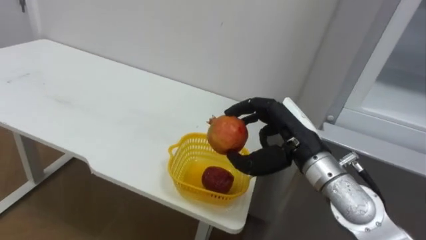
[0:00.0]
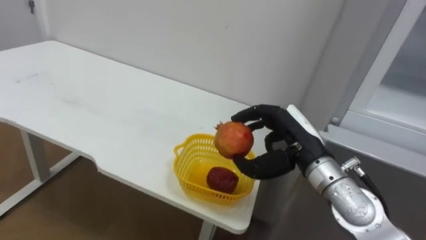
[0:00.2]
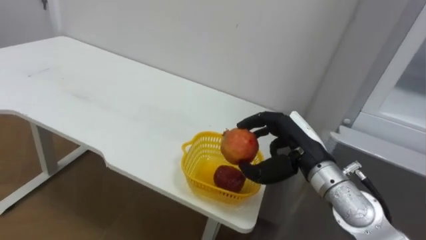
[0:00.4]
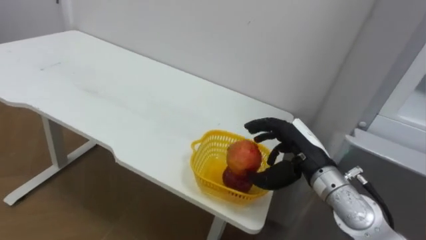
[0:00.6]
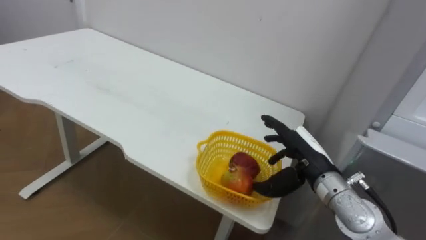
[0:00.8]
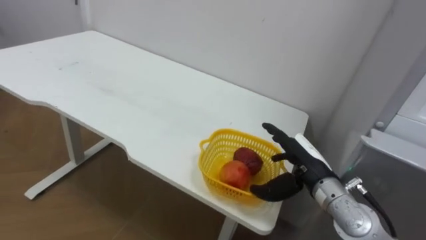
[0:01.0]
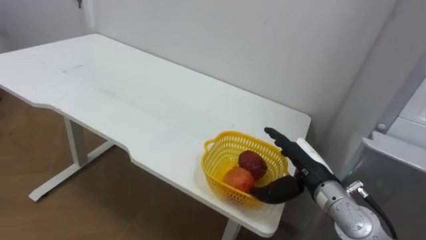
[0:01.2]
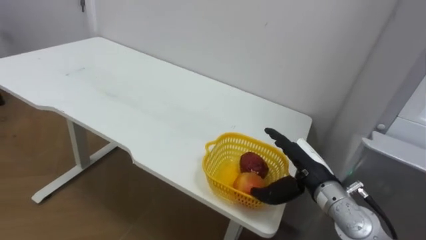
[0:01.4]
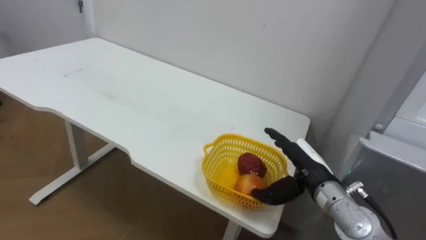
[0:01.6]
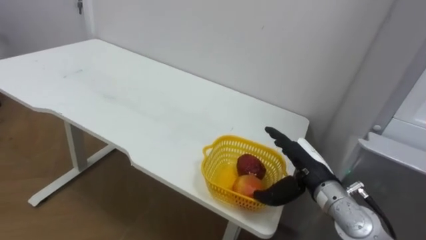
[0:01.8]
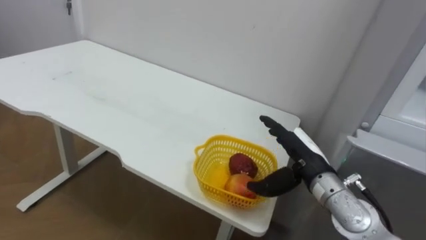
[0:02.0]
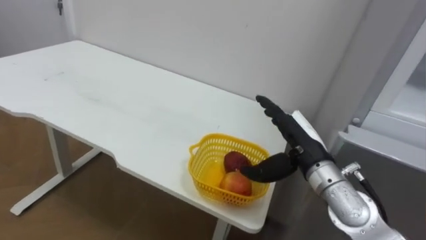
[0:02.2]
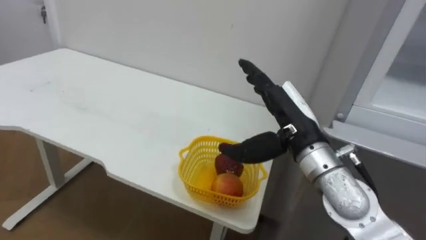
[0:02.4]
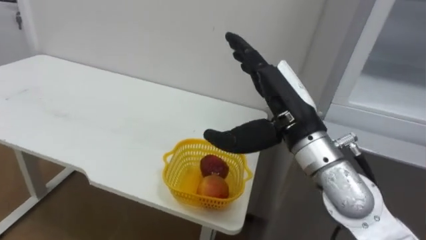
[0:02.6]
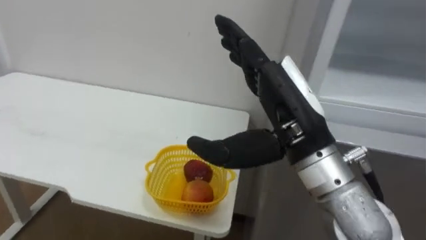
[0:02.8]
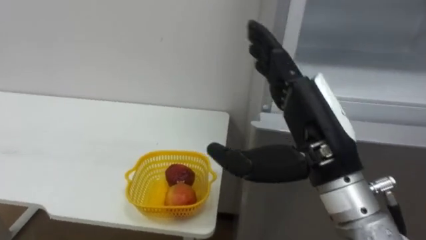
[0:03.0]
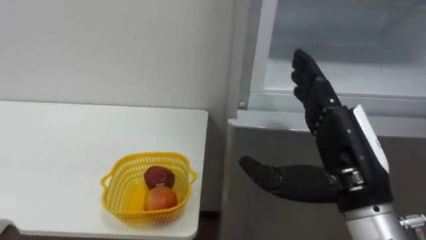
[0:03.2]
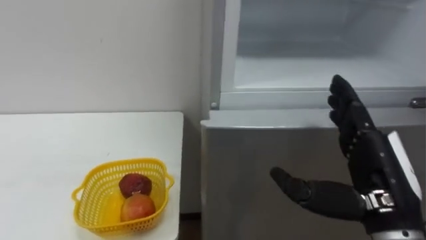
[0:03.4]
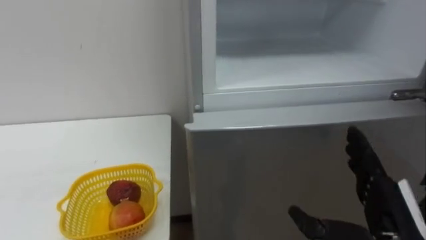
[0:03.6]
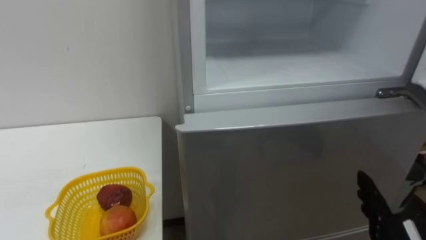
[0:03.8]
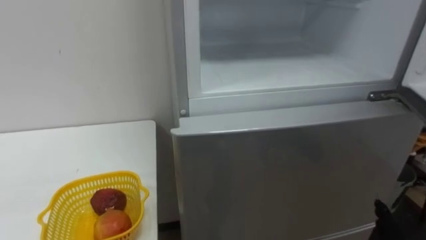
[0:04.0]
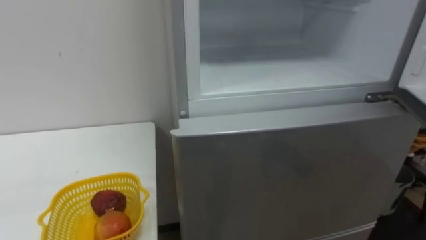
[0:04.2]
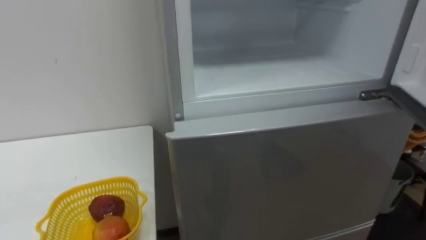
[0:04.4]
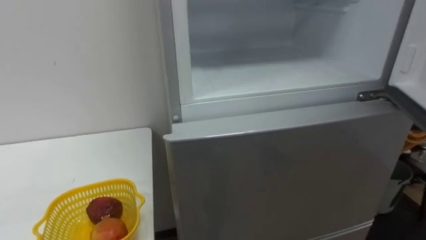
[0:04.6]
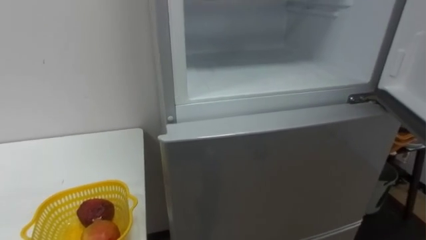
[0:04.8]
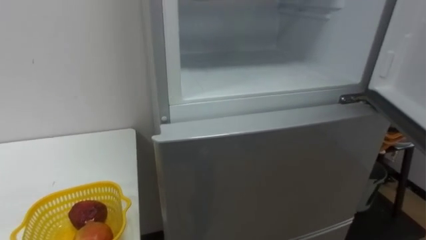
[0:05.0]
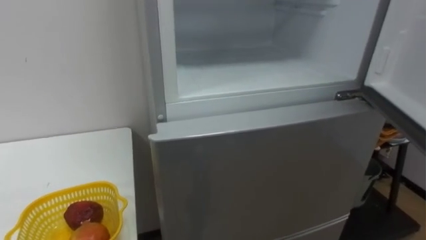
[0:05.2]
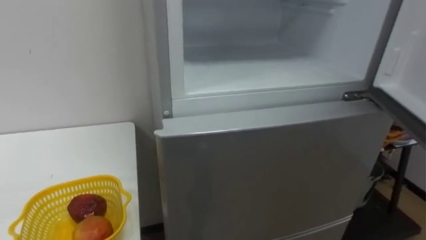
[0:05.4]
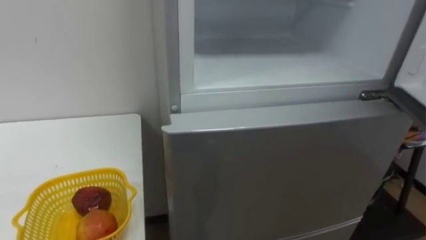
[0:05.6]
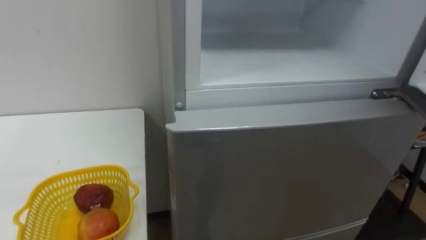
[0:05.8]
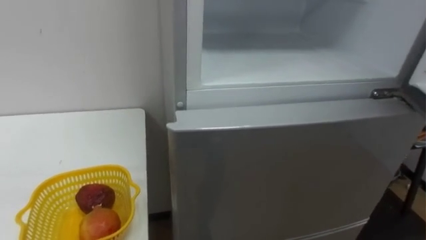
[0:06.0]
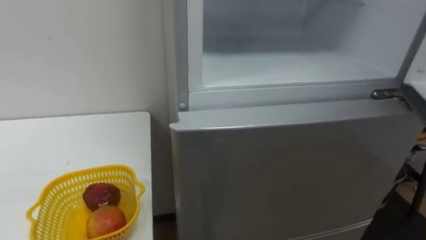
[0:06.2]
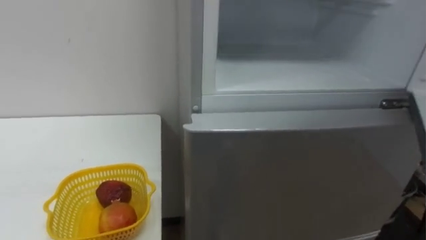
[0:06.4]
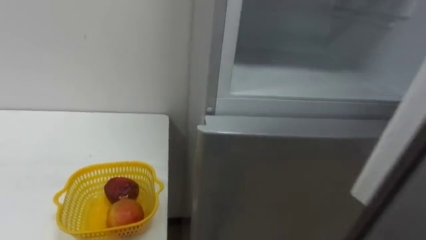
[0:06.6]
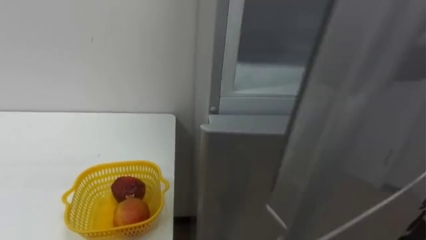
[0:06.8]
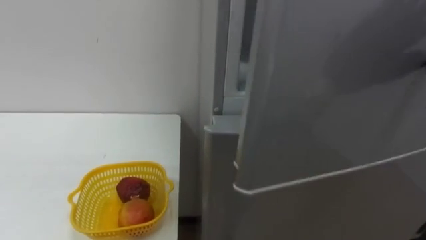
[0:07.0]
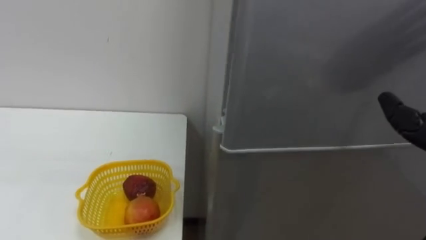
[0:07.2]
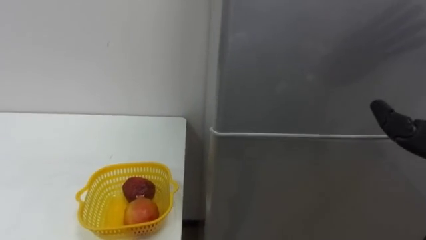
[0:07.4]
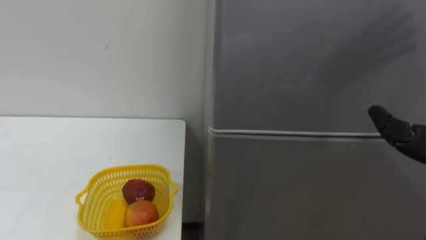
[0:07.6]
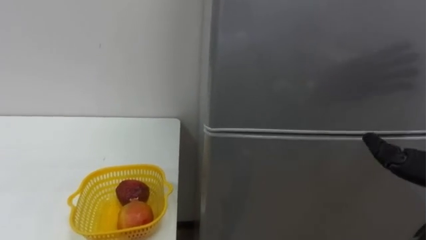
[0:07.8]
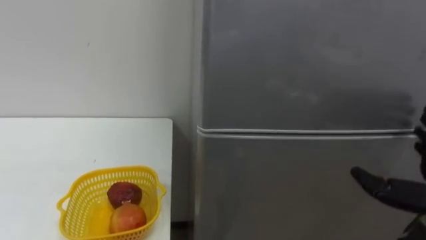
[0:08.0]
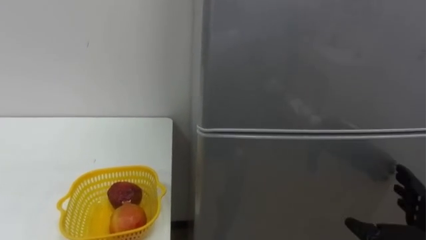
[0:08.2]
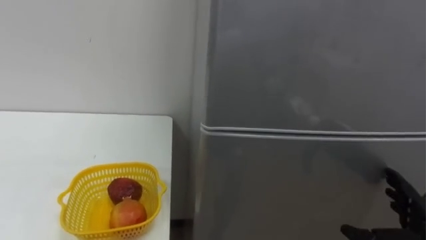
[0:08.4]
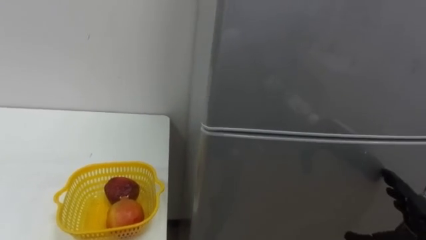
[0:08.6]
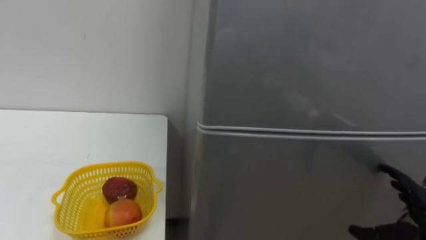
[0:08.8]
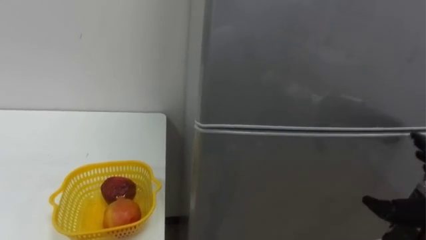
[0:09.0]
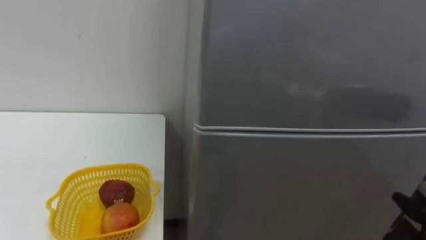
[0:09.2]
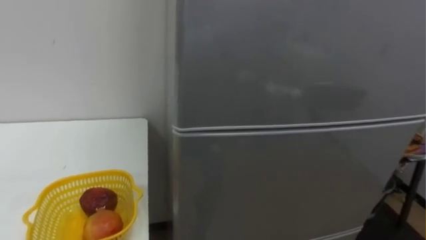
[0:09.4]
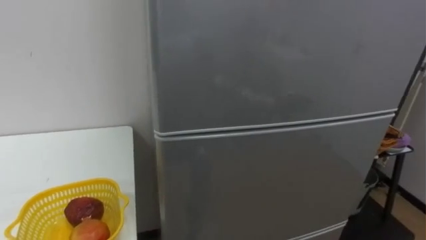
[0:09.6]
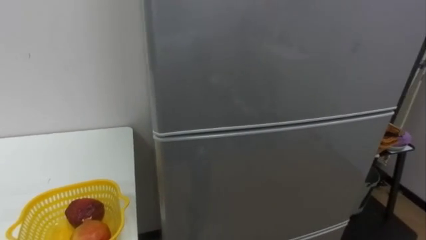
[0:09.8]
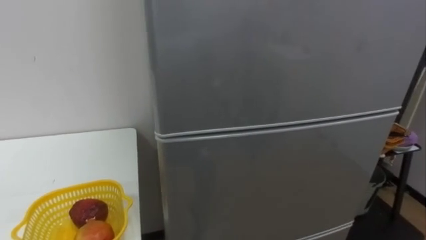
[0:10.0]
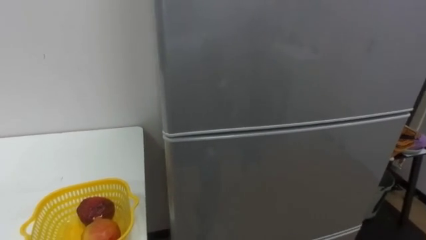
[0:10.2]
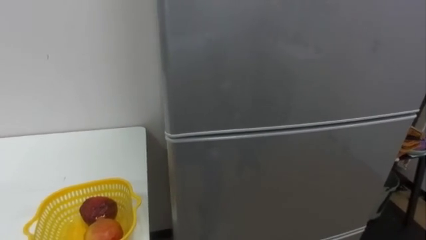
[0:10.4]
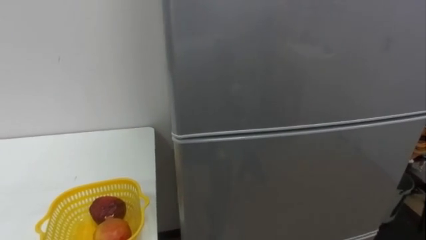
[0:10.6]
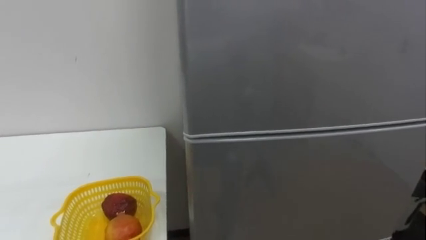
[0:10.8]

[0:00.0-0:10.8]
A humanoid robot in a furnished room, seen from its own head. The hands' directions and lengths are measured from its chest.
Task of the whole recording: Open the refrigerator door, take out the apple and the pomegranate, place them in the fruit basket on the left, and close the refrigerator door.
0:00.0 to 0:01.6: The right hand heads downward, covering about 10 cm, and opens up.
0:01.6 to 0:03.0: The right hand is displaced upward and backward by some 20 cm.

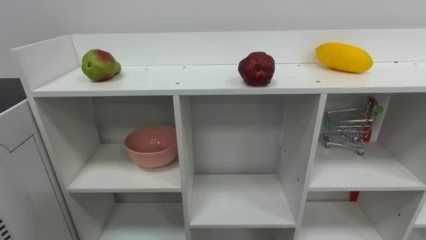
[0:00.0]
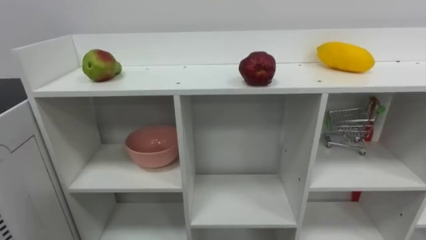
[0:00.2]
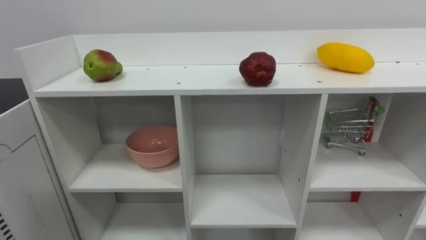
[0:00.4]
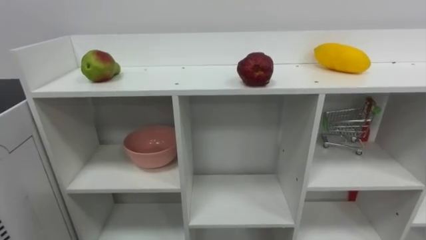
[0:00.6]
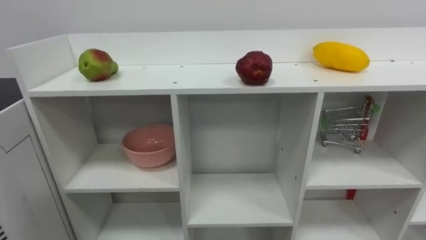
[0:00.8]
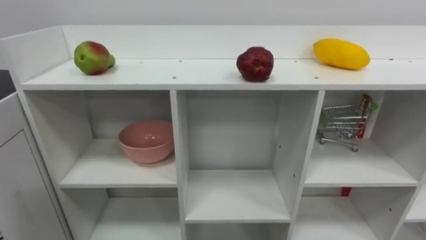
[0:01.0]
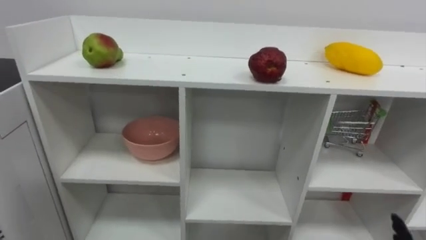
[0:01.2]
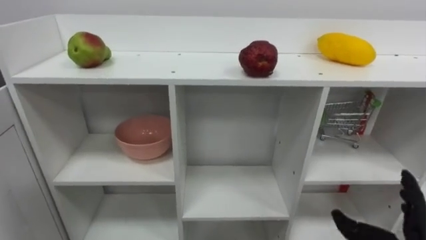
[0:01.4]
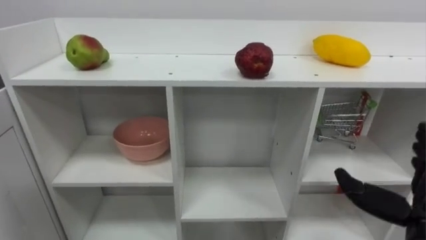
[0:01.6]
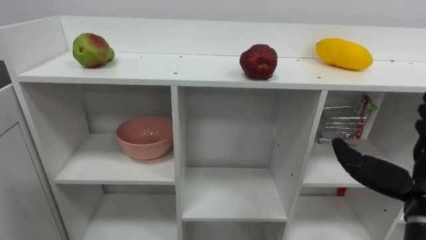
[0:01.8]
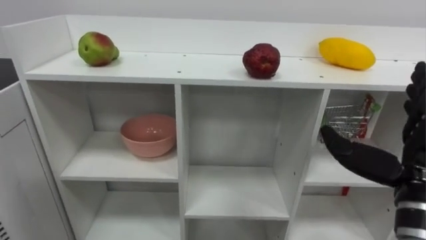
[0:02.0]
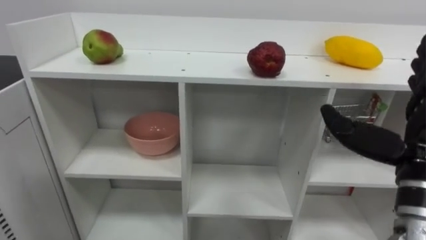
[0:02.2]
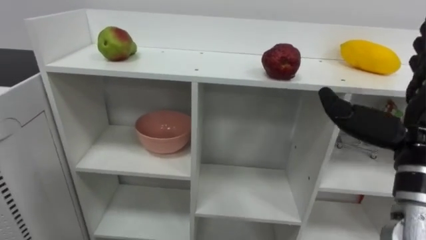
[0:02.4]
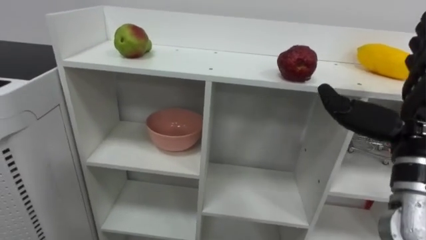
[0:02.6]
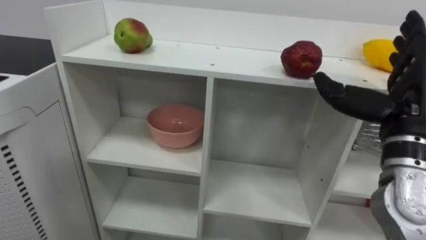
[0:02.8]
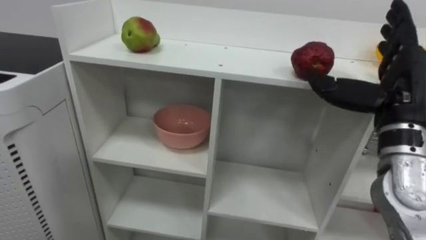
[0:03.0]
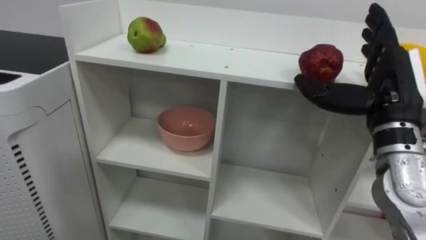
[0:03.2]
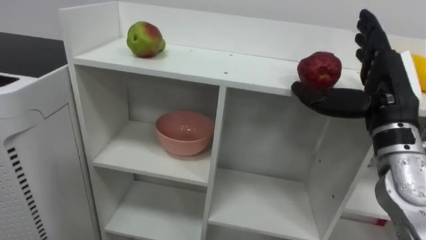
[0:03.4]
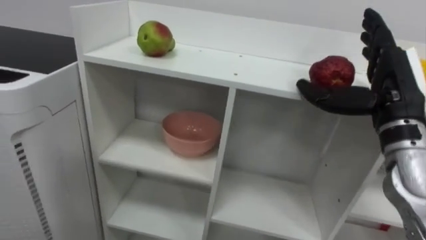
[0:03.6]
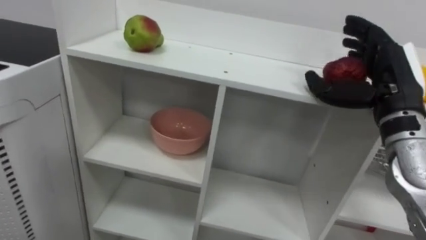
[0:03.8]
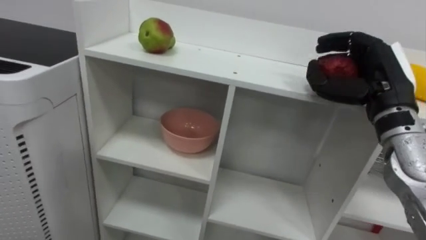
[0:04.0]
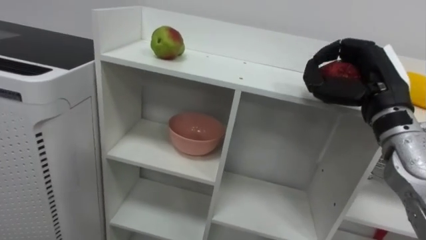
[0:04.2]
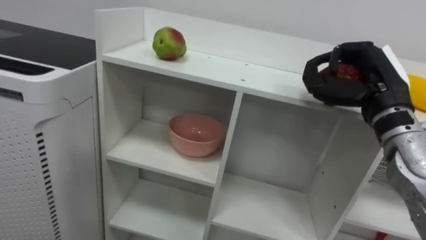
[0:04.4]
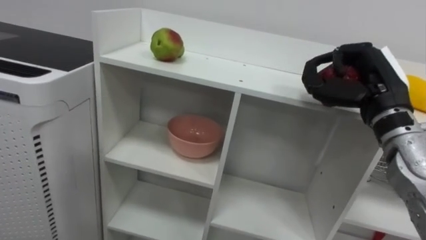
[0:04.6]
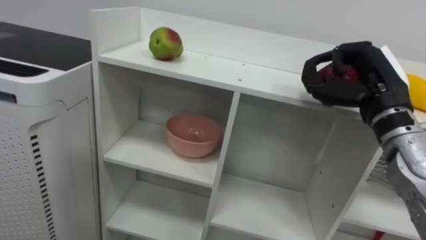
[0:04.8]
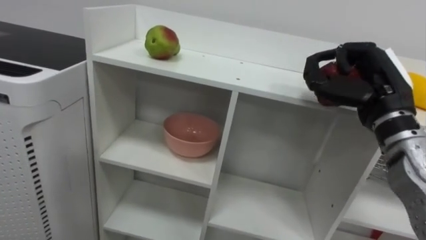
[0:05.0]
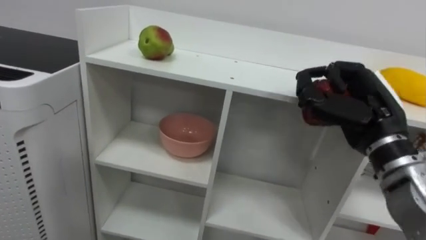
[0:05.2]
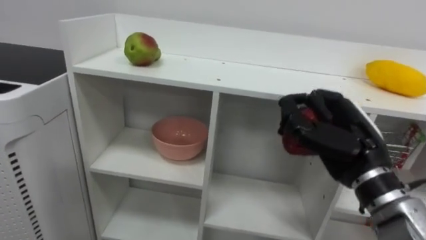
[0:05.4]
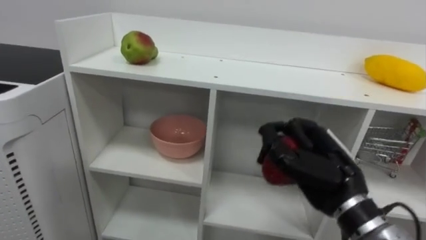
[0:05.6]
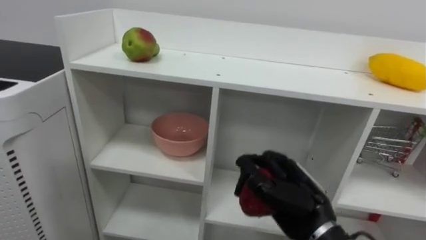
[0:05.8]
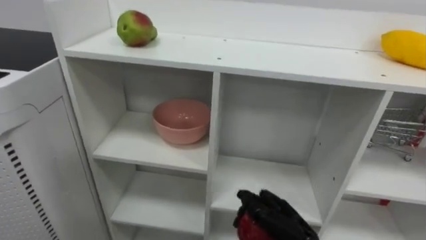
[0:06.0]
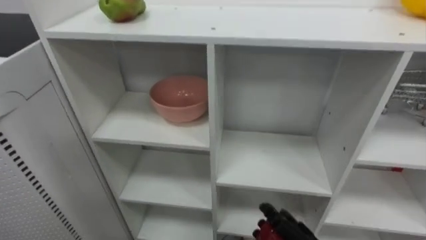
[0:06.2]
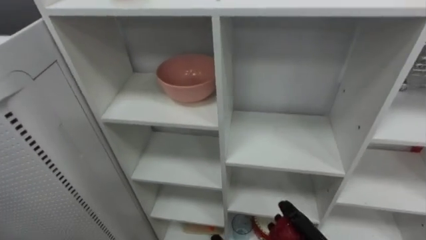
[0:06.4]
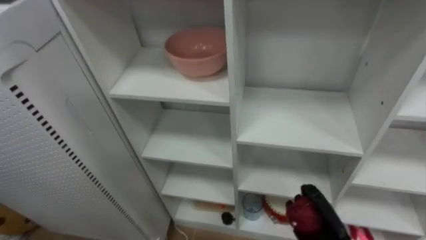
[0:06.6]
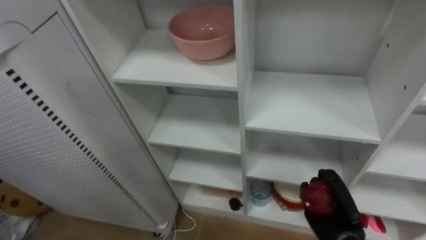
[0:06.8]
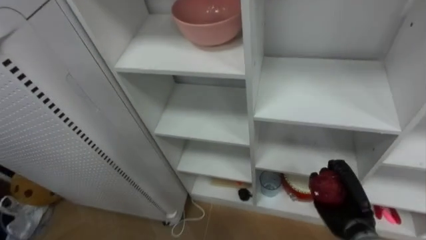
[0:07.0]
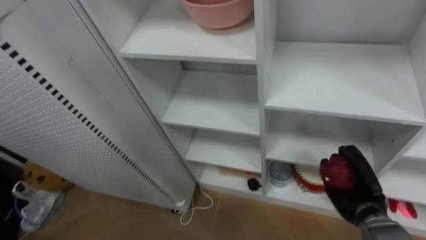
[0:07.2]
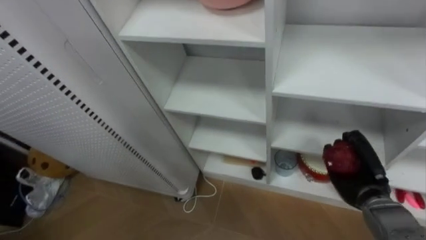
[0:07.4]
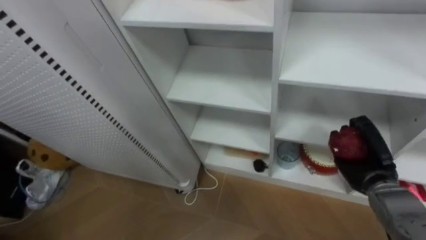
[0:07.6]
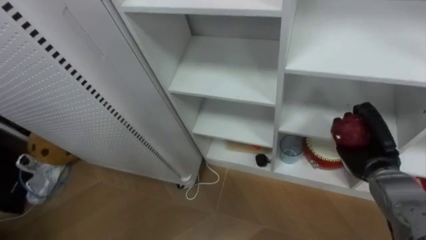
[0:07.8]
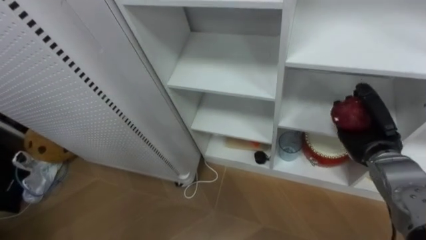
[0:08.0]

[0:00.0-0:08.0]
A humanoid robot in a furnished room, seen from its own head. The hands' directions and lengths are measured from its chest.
Task of the whole recording: Put the apple in the cell in the second column from the left and the second row from the top.
0:03.2 to 0:04.8: The right hand closes up.
